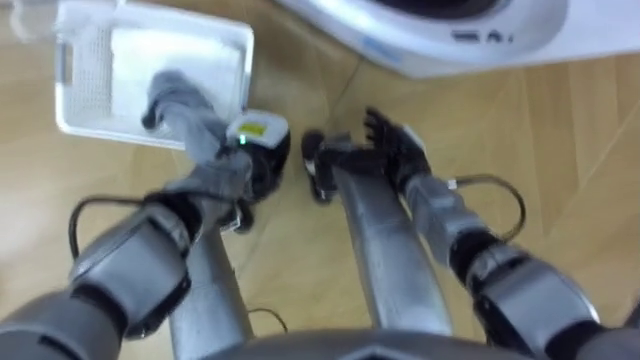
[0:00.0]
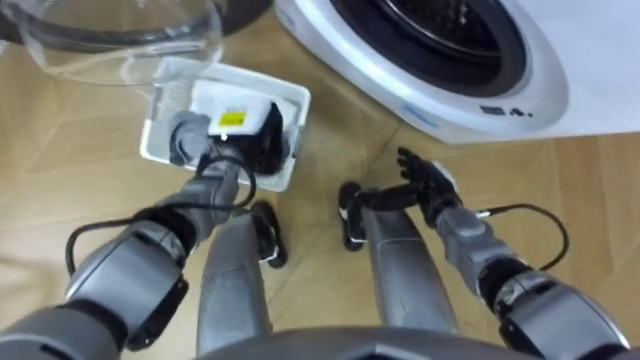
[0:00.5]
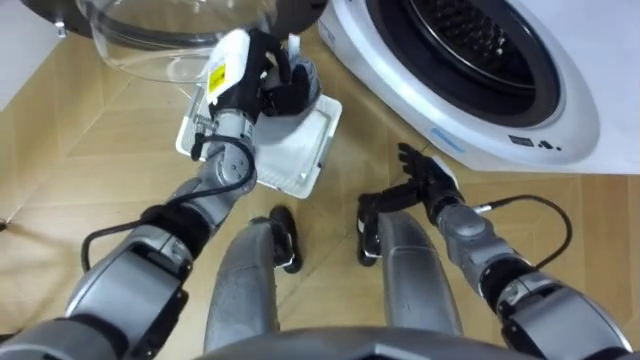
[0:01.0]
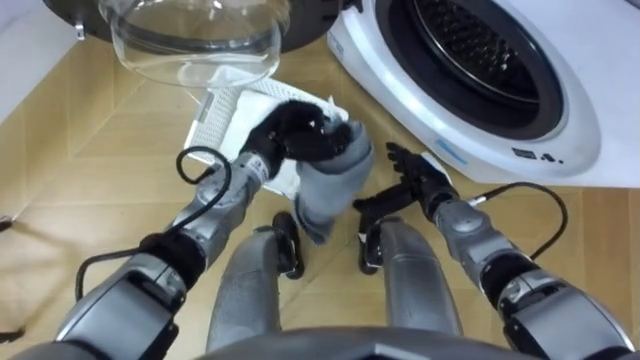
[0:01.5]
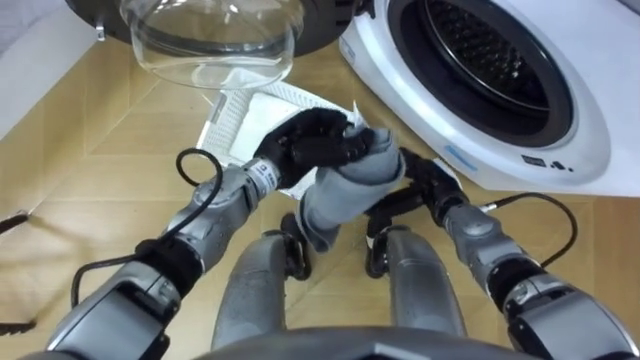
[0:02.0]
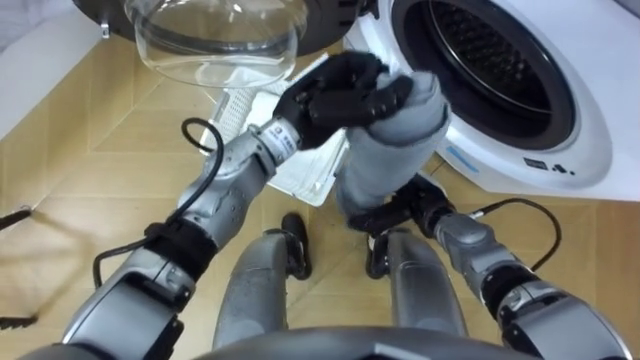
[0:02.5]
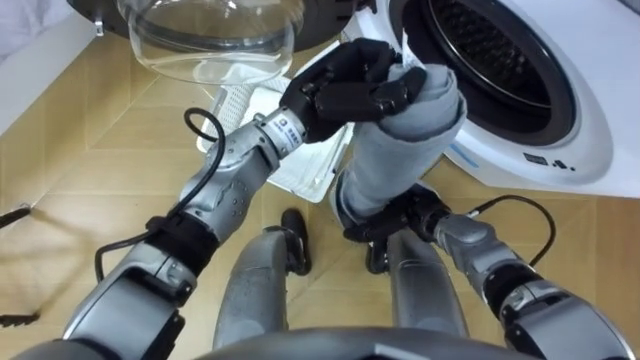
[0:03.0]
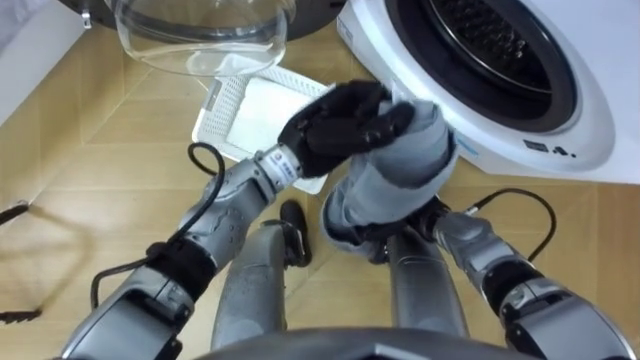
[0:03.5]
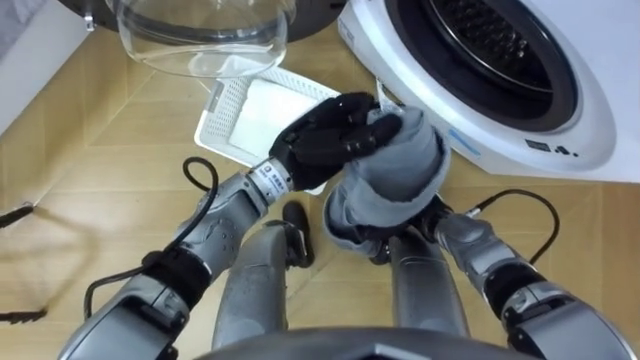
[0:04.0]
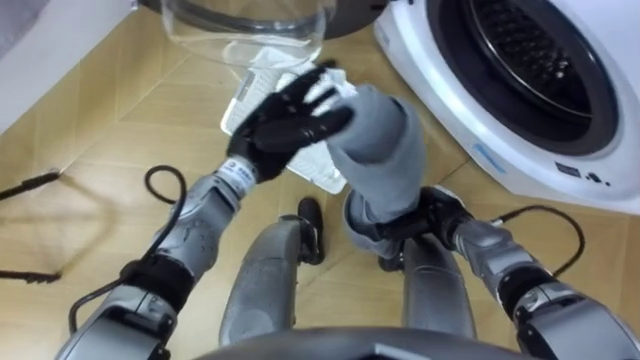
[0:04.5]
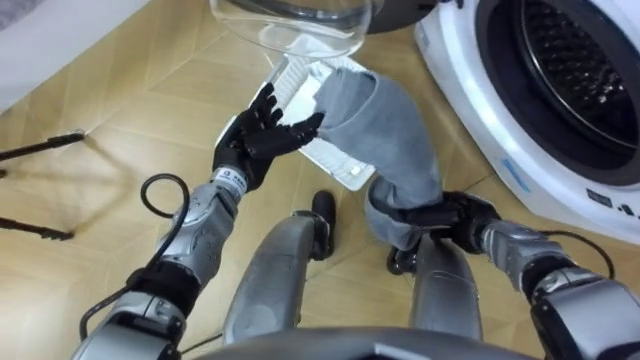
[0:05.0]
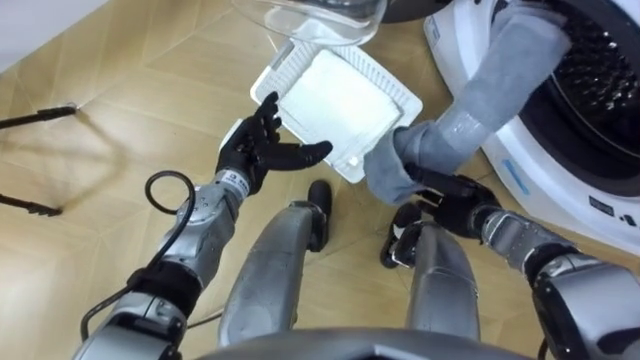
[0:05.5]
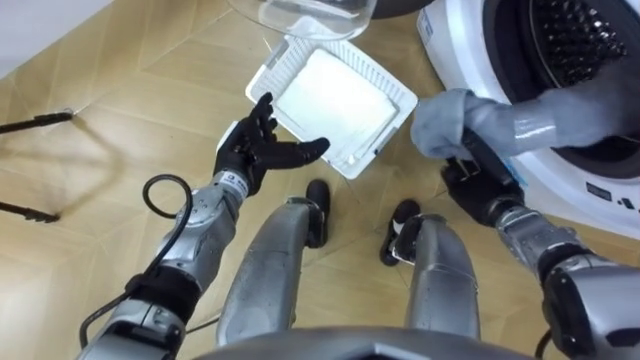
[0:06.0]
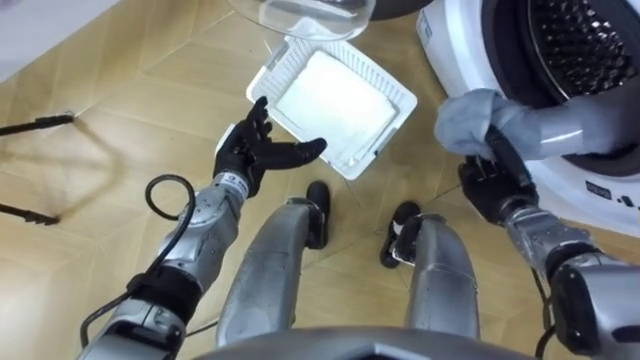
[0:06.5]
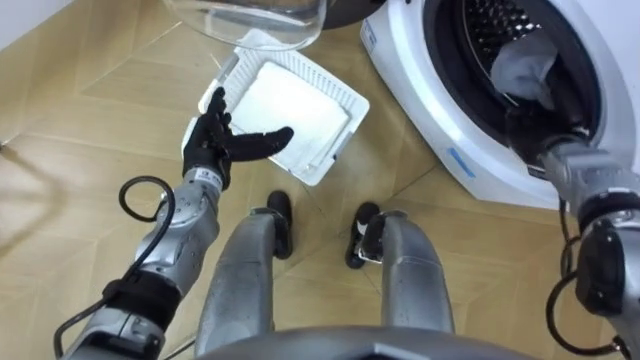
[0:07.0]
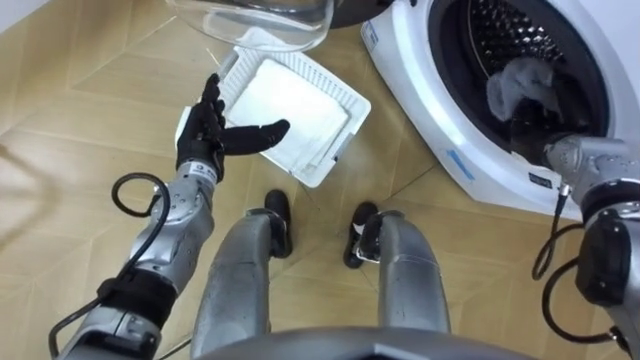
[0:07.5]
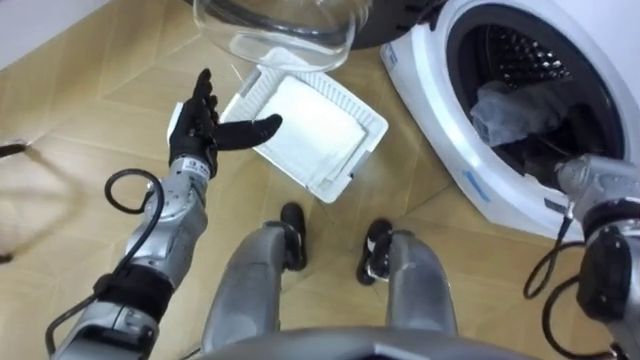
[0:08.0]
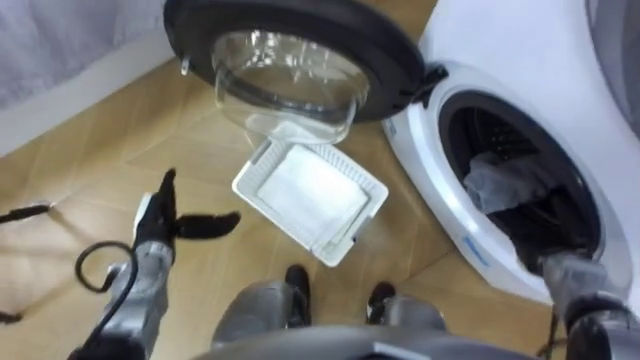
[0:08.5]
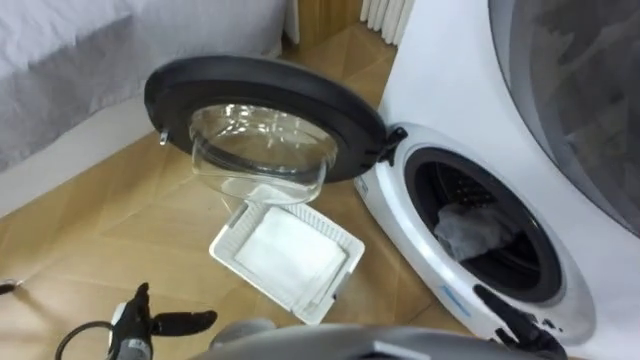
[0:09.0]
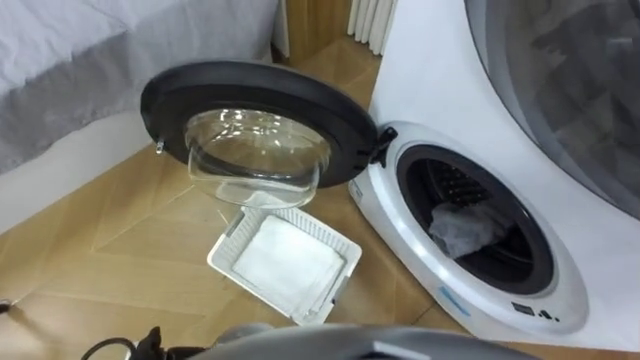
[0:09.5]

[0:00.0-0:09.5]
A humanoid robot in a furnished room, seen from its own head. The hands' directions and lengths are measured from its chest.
Task of the whole recording: Take the towel from the basket and put it into the washing machine.
0:00.0 to 0:02.0: The left hand travels to the right and upward by approximately 10 cm; the right hand travels to the right by roughly 5 cm.
0:02.0 to 0:04.0: The right hand closes its fingers.
0:04.0 to 0:05.5: The right hand goes some 10 cm to the right. The left hand heads to the left and downward, covering some 10 cm, and opens its fingers.
0:05.5 to 0:07.5: The right hand goes approximately 15 cm to the right, upward and forward. The left hand travels to the left by roughly 5 cm.

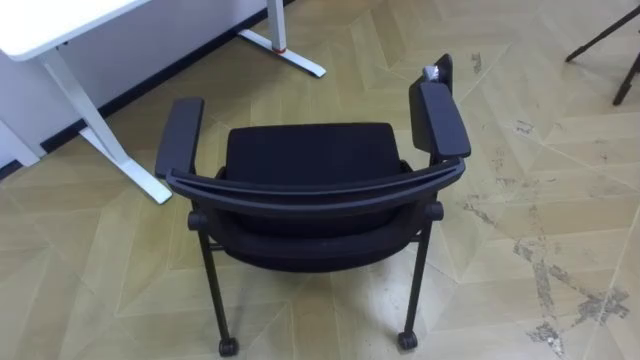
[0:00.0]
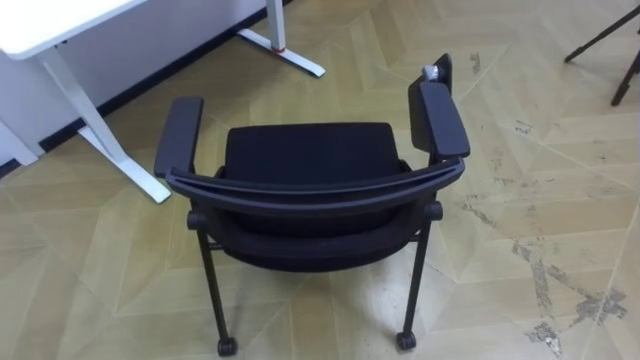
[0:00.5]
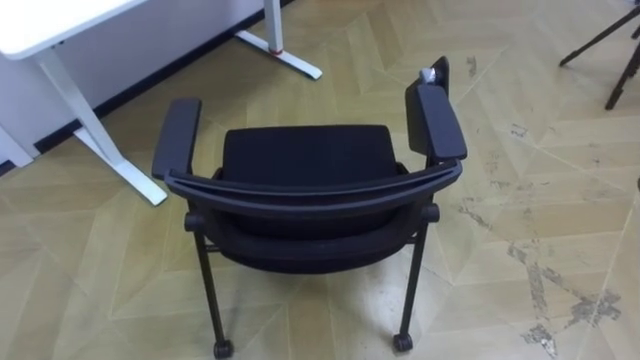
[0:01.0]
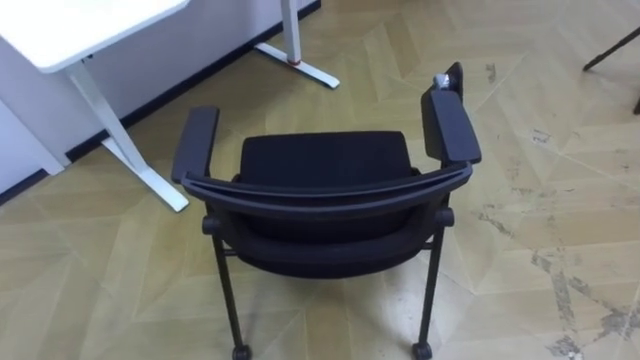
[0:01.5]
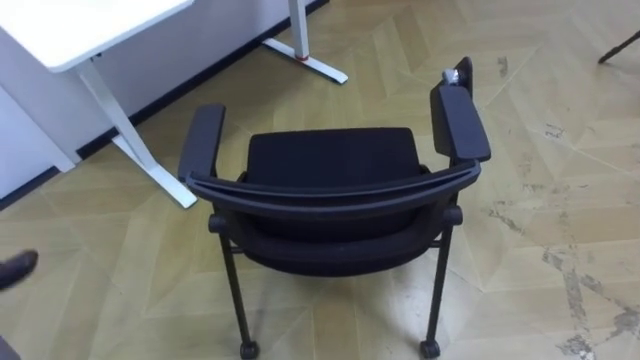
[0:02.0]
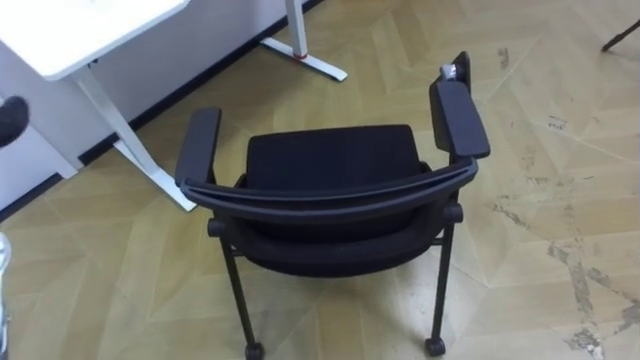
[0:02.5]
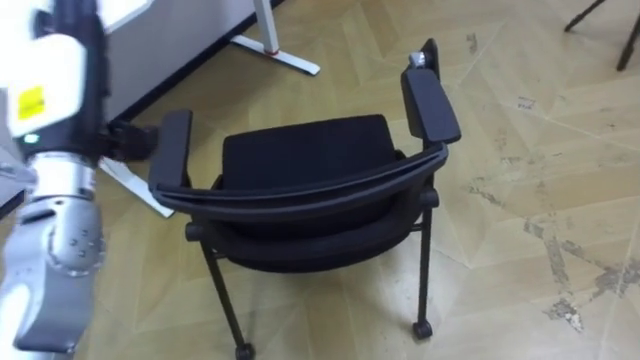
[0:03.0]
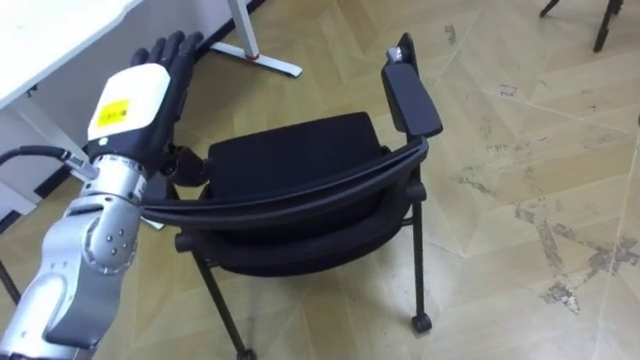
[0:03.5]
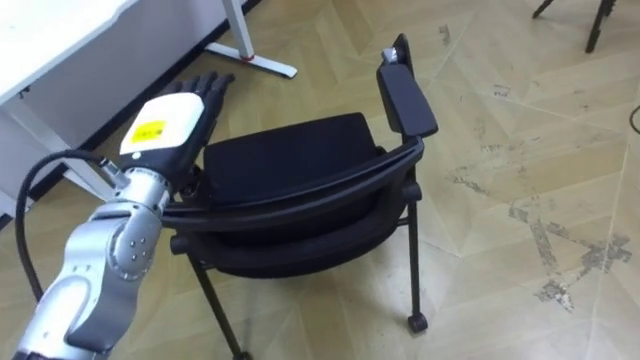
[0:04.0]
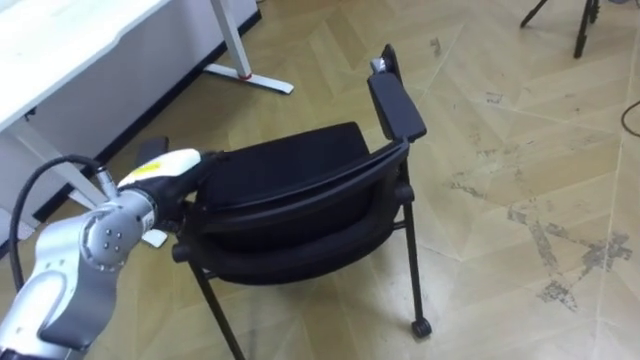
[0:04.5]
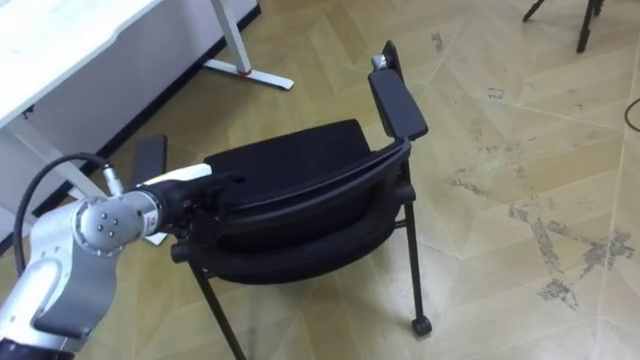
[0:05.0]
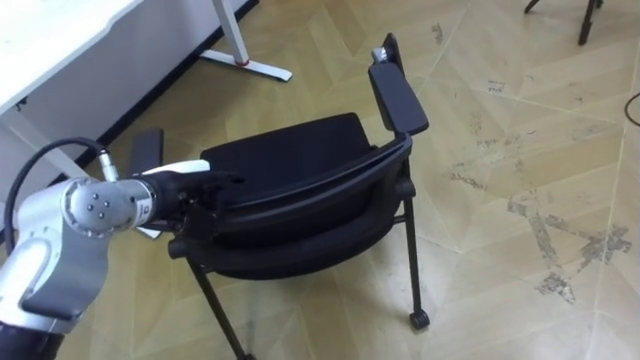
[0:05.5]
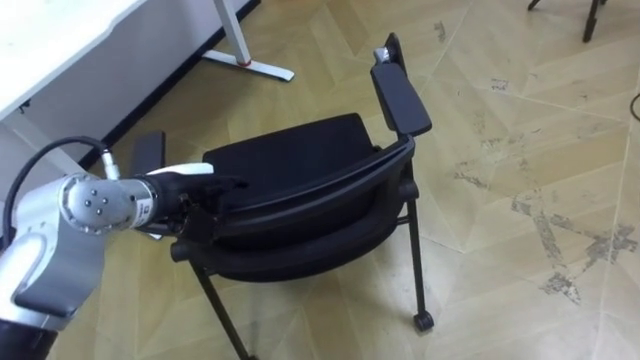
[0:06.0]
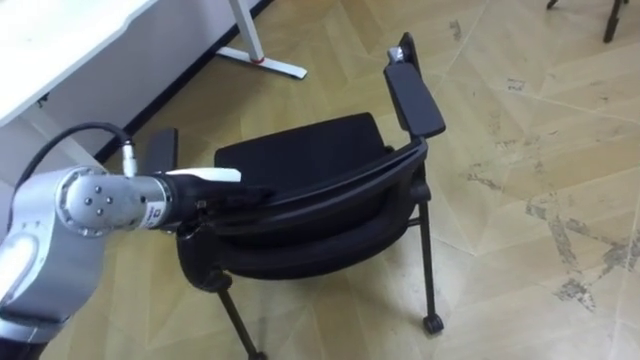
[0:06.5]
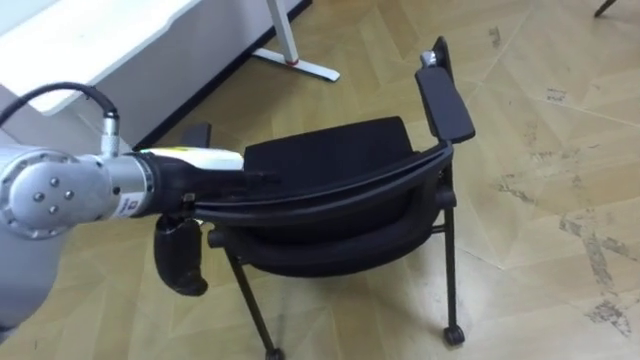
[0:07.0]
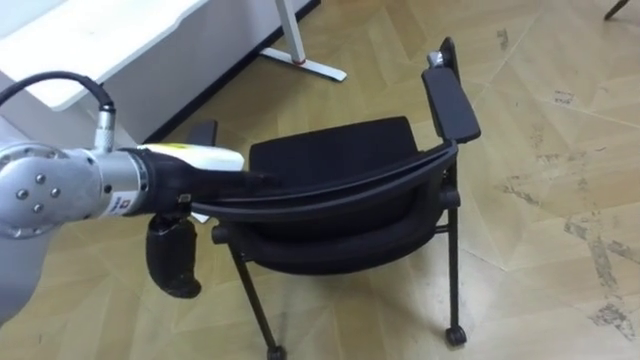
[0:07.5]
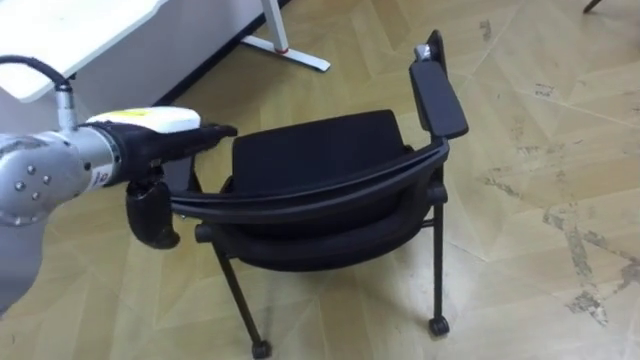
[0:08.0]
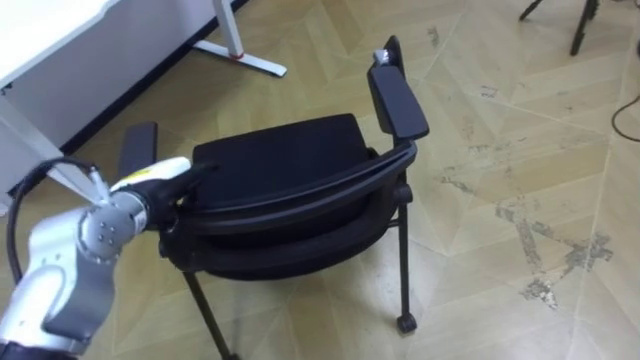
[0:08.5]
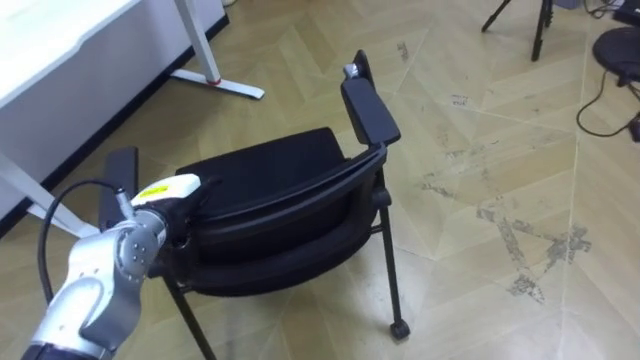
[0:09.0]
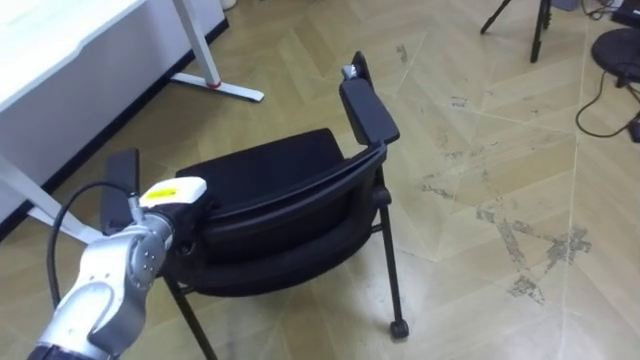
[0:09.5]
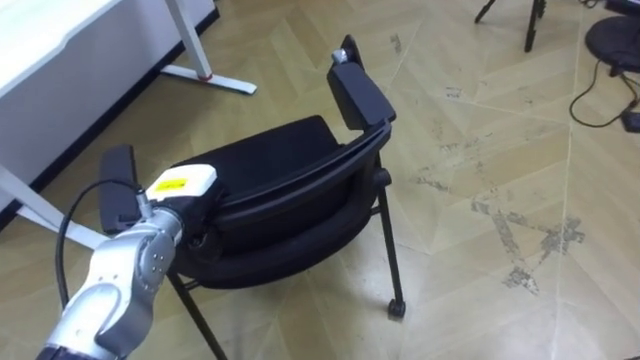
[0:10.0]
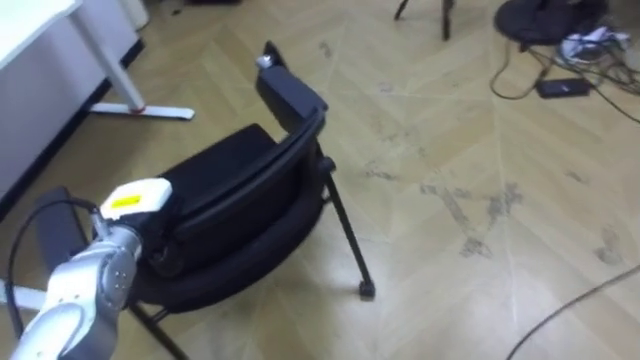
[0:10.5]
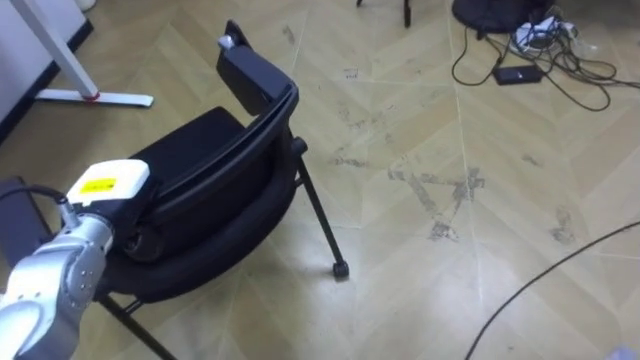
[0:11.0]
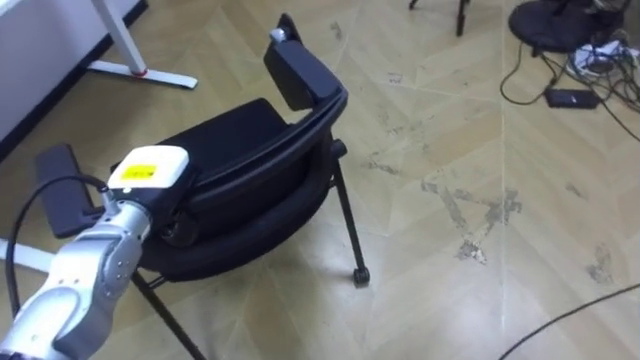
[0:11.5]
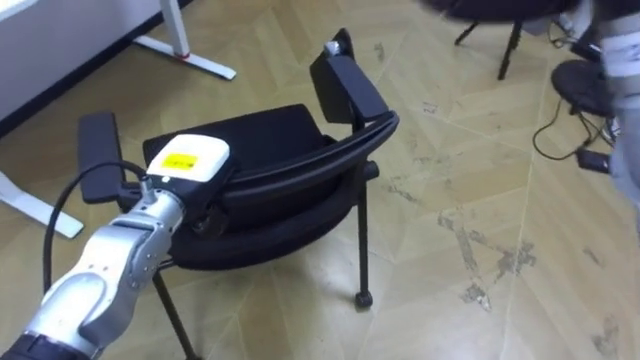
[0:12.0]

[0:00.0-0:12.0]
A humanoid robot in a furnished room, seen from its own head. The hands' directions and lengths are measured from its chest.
Task of the whole recording: Push the chair under the table.
0:04.0 to 0:06.0: The left hand travels downward by some 5 cm.
0:06.0 to 0:08.0: The left hand moves upward, roughly 10 cm.
0:08.0 to 0:10.0: The left hand moves downward, roughly 15 cm, and closes its fingers.
0:10.0 to 0:12.0: The left hand goes to the left and returns, some 10 cm each way.
